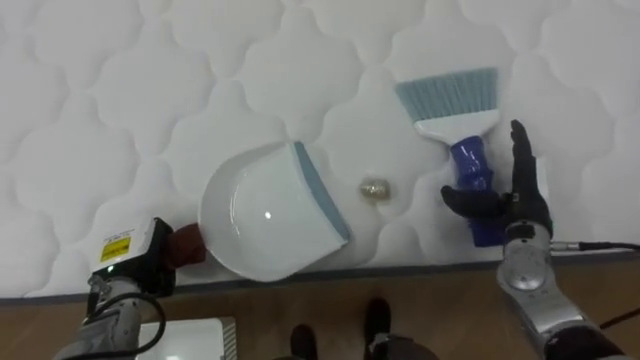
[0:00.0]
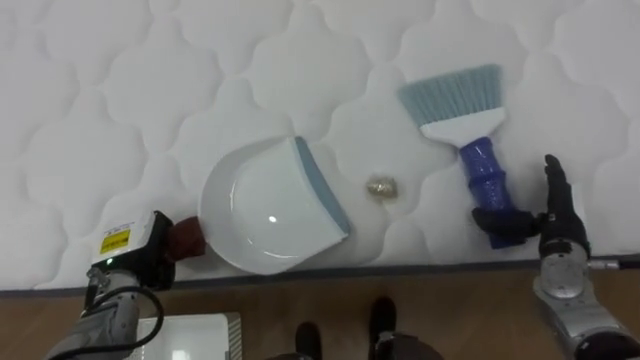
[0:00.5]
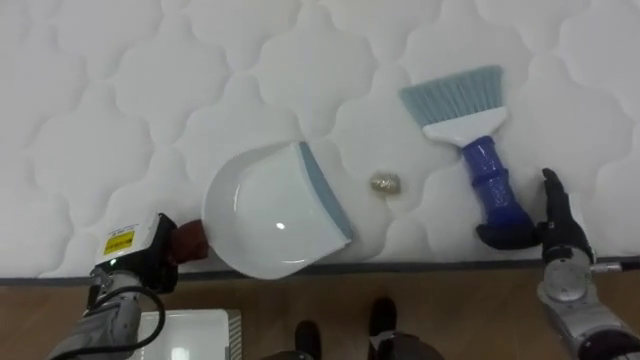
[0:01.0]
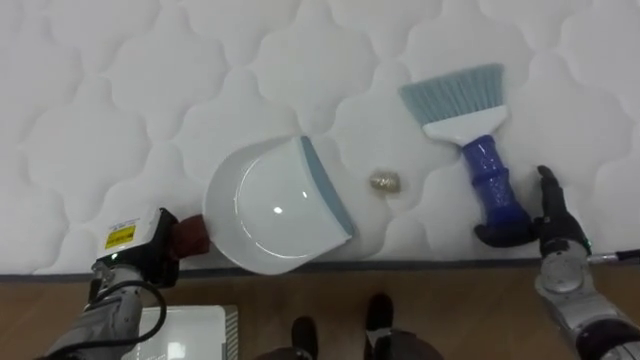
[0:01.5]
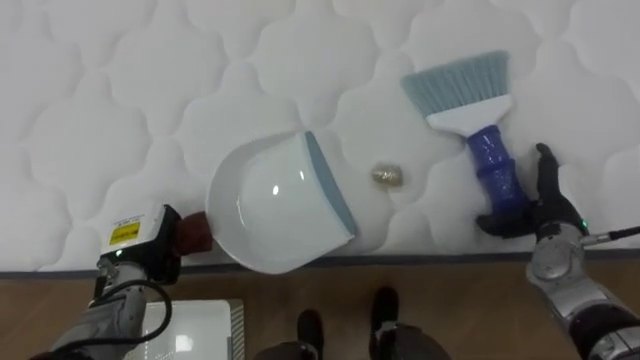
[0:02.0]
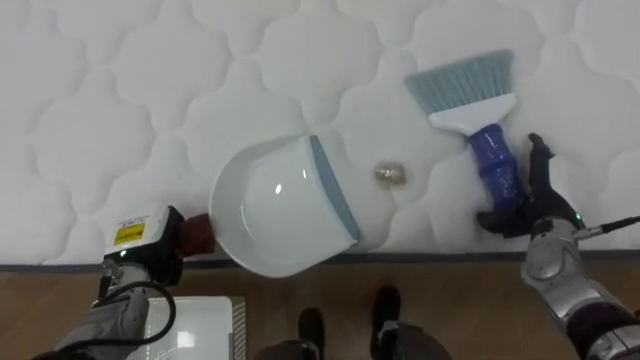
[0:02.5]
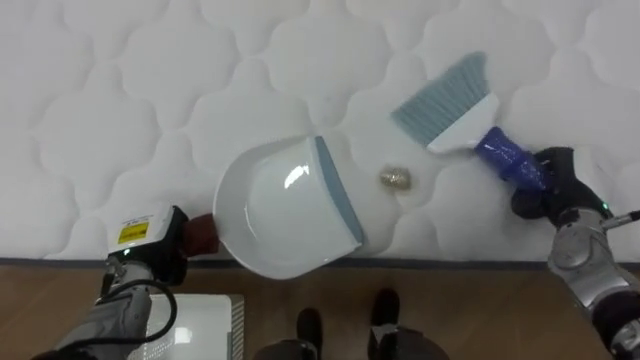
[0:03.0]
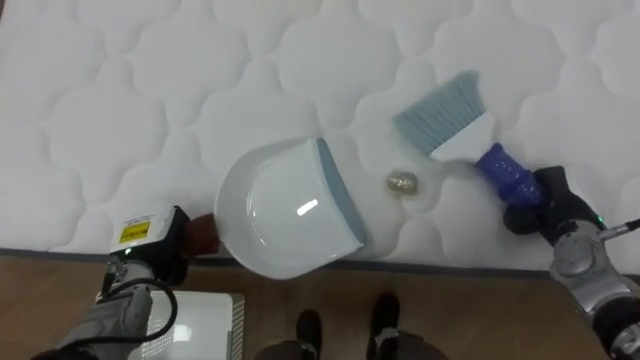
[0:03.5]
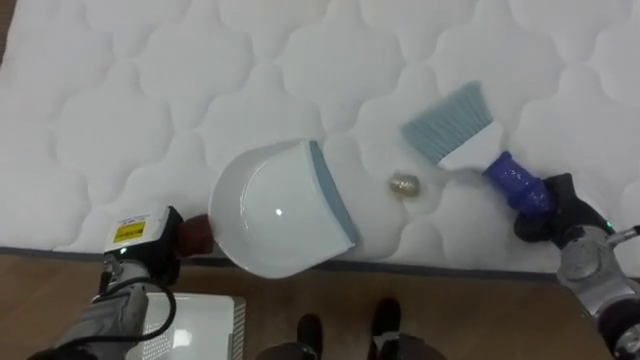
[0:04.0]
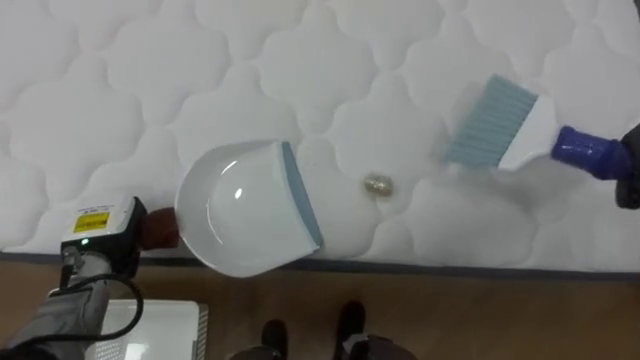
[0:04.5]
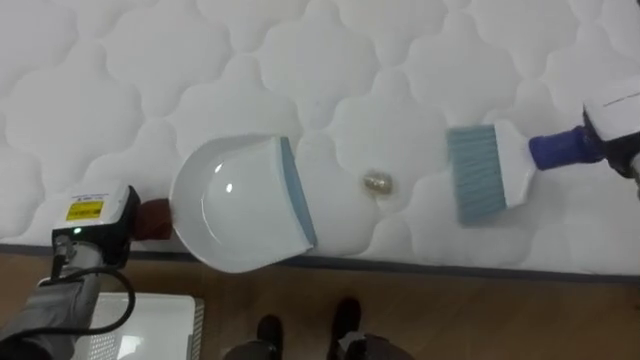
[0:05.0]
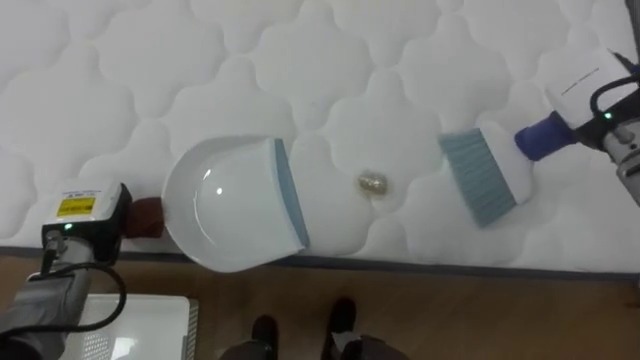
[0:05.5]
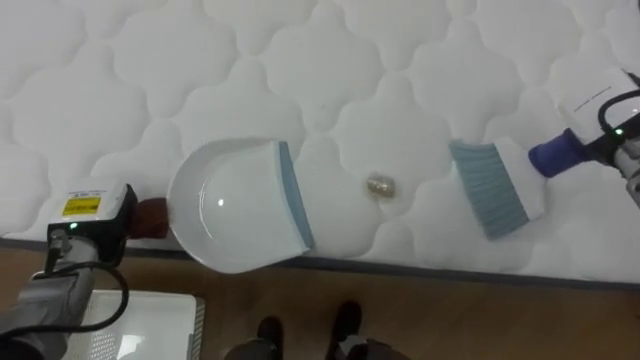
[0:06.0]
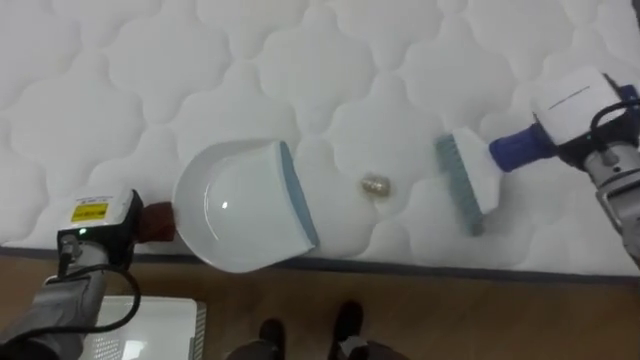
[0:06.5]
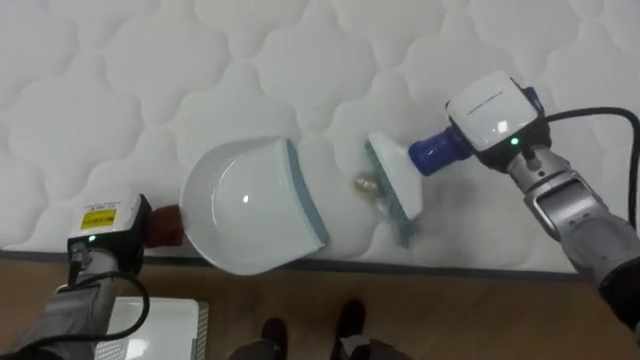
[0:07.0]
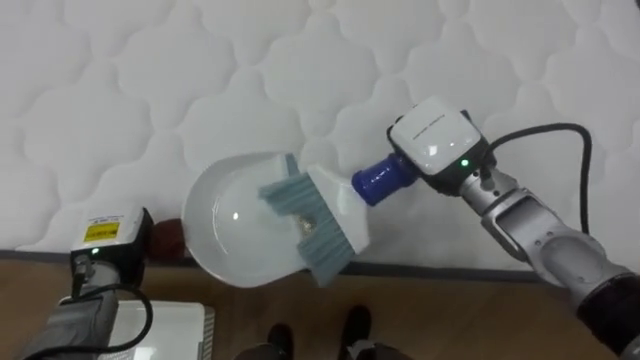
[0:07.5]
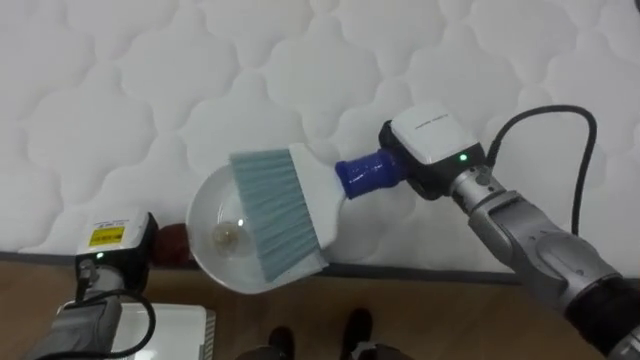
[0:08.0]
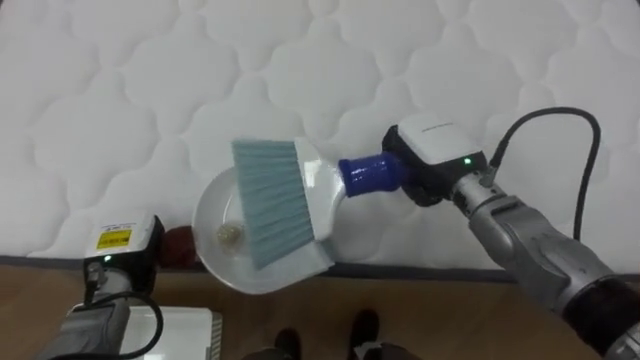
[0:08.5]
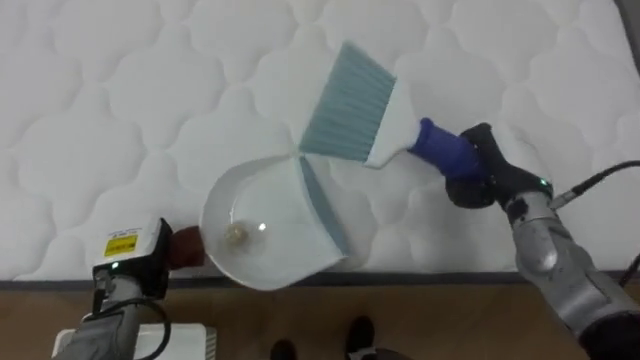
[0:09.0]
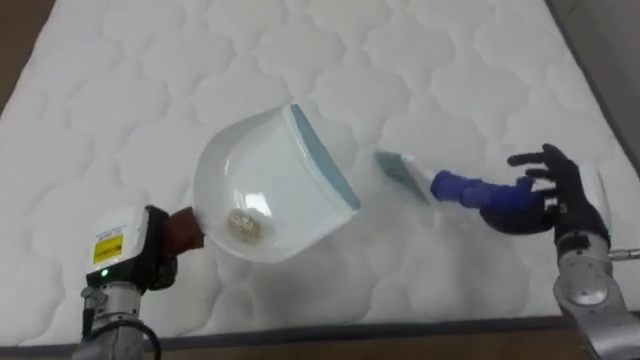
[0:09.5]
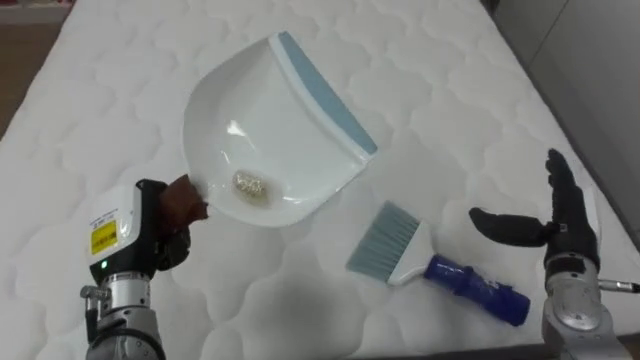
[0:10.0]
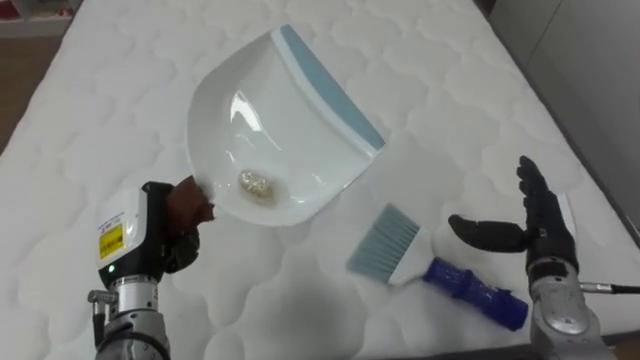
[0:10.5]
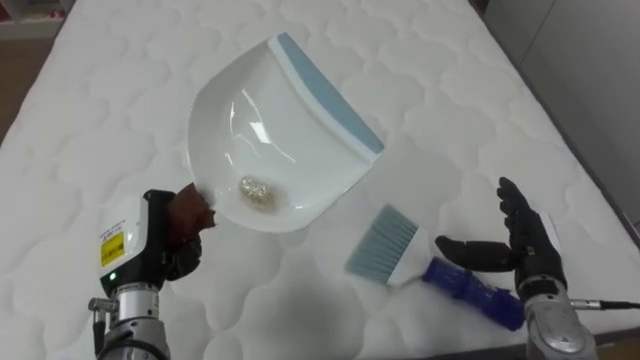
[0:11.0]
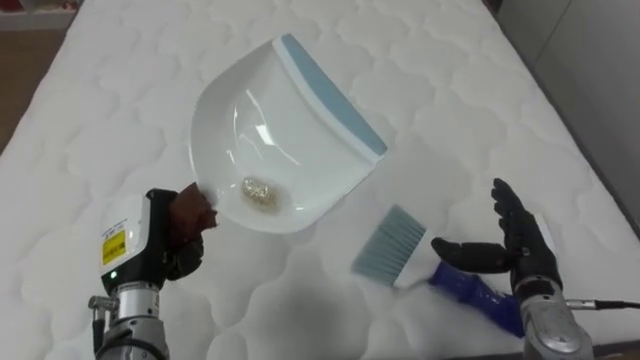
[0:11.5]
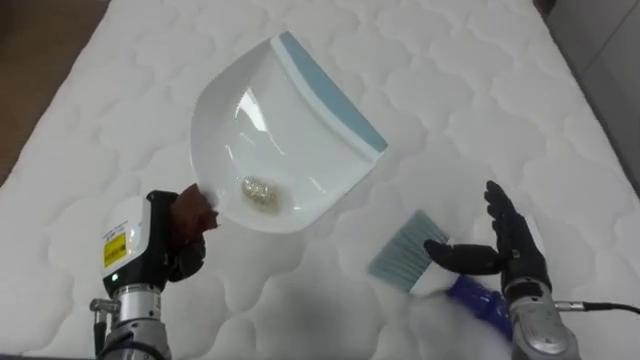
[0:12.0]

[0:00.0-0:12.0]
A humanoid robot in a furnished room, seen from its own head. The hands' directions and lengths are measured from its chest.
Task of the whole recording: Pick up the brush on your right and the dustpan on your left. Use the brush to sweep the crumpled paper on the bed into the dustpan, then turn left and empty it into the basket.
0:02.0 to 0:04.0: The right hand closes its fingers.
0:04.0 to 0:06.0: The left hand moves to the left, about 5 cm.
0:06.0 to 0:08.0: The right hand moves to the left, about 20 cm; the left hand ends up approximately 5 cm from where it was.
0:08.0 to 0:10.0: The left hand shifts some 5 cm upward, while the right hand goes about 20 cm to the right, downward and backward, and opens up.
0:10.0 to 0:12.0: The right hand goes roughly 5 cm to the left.

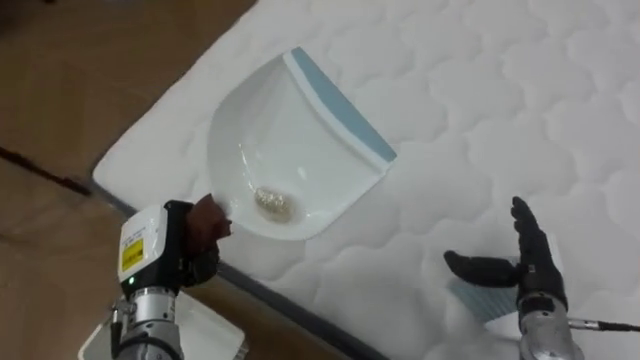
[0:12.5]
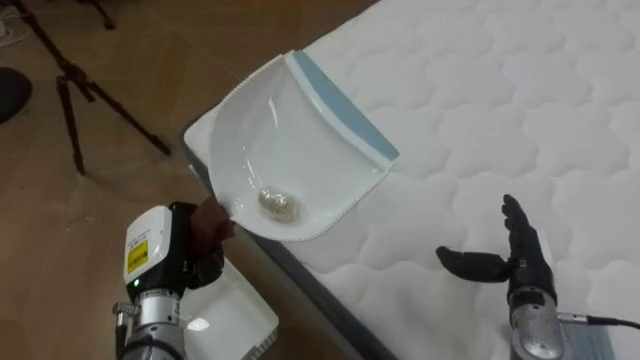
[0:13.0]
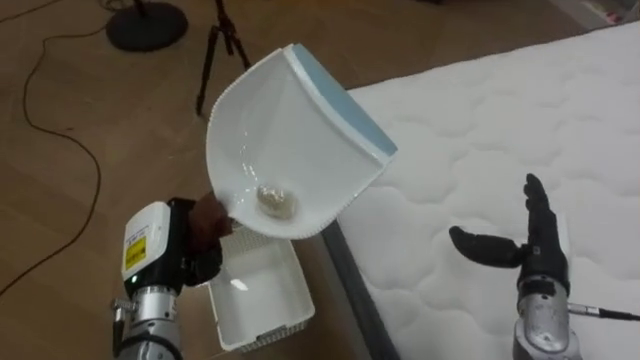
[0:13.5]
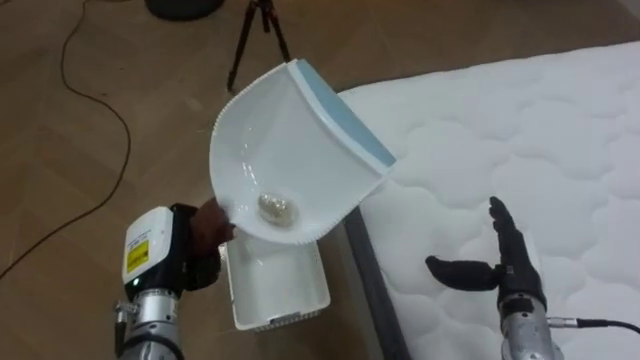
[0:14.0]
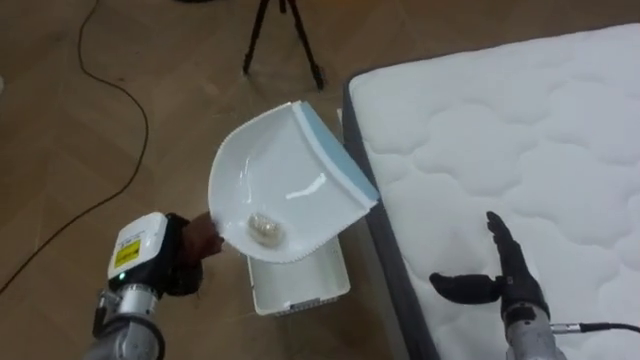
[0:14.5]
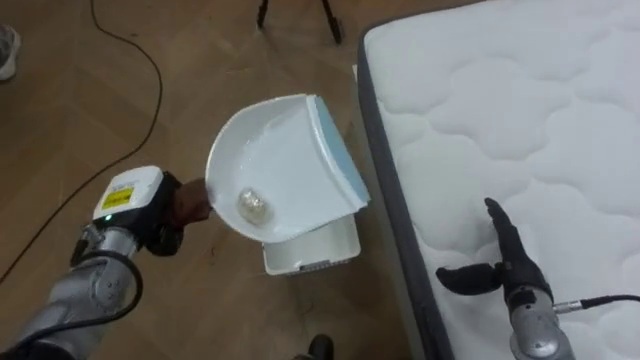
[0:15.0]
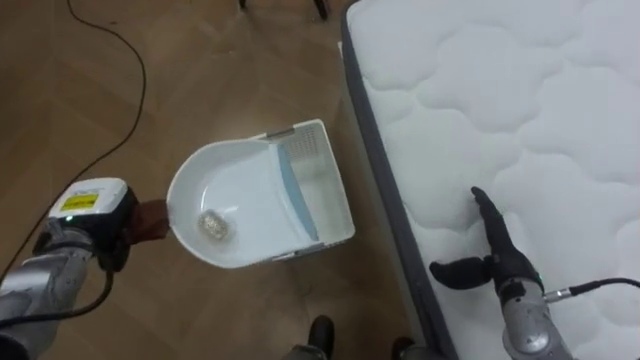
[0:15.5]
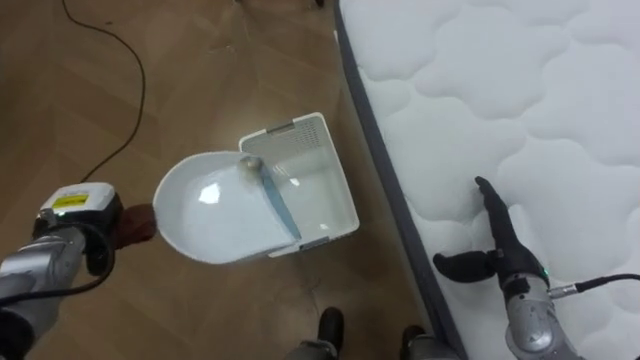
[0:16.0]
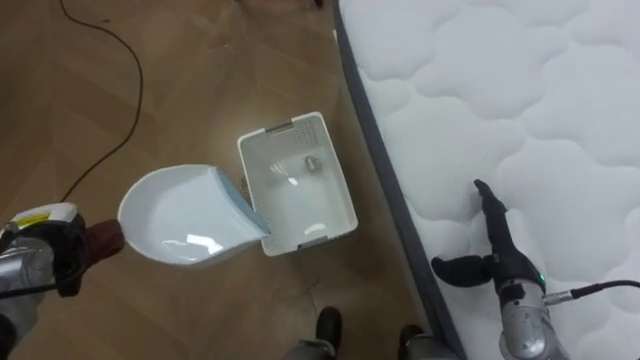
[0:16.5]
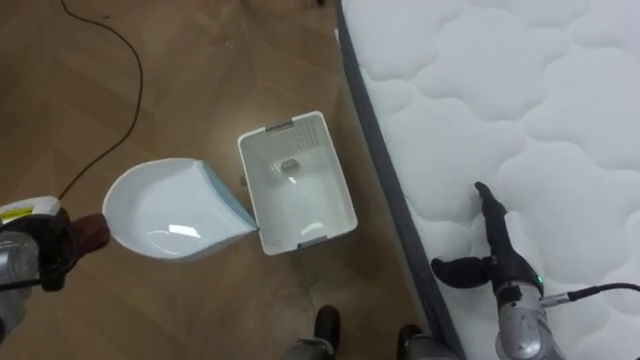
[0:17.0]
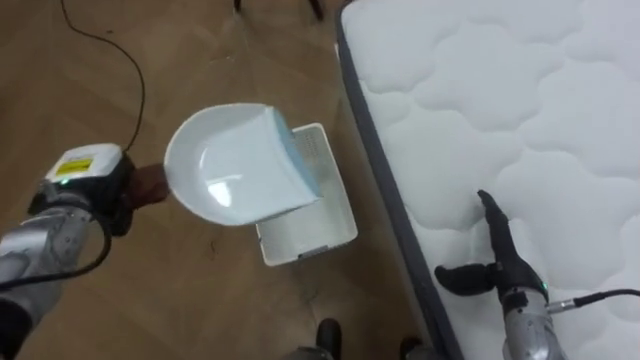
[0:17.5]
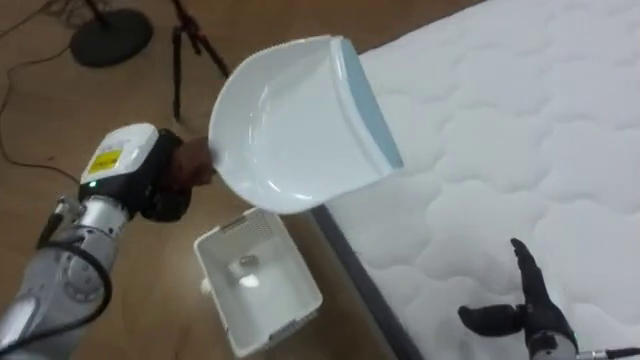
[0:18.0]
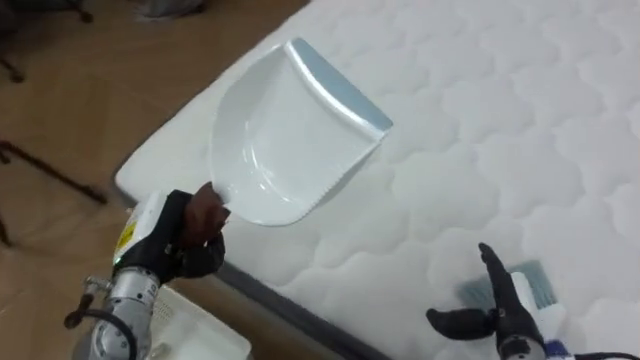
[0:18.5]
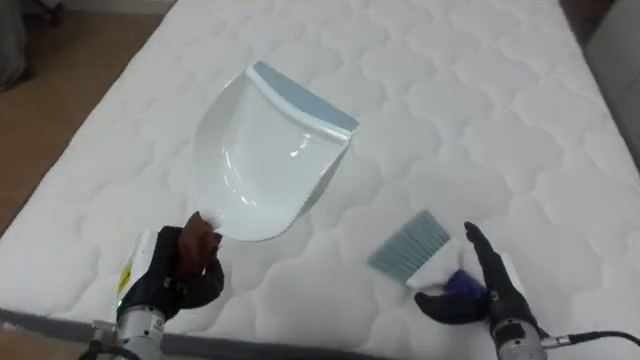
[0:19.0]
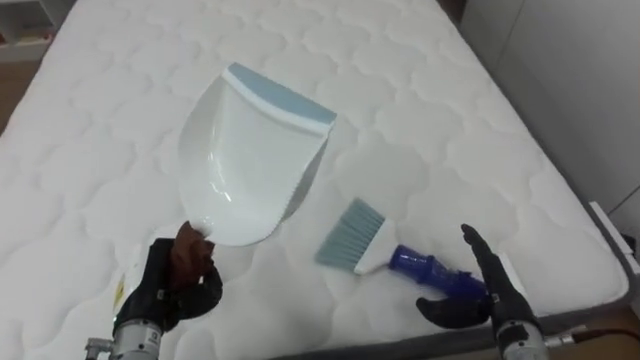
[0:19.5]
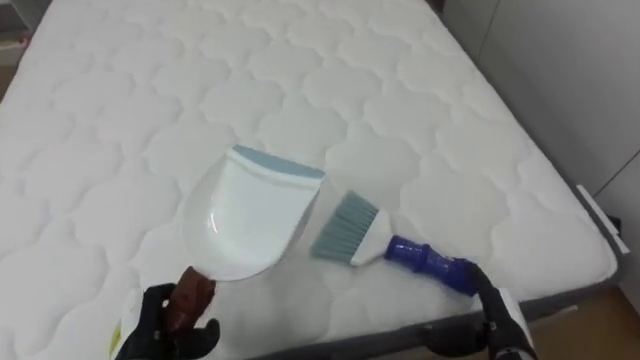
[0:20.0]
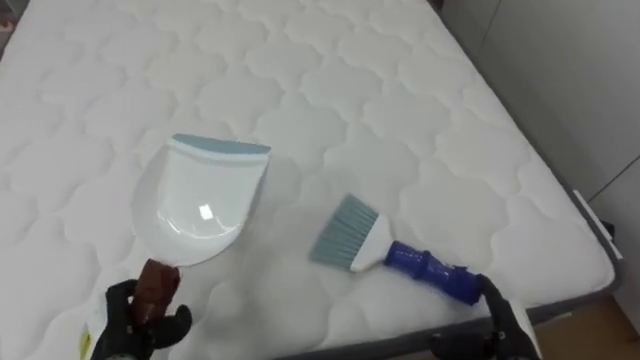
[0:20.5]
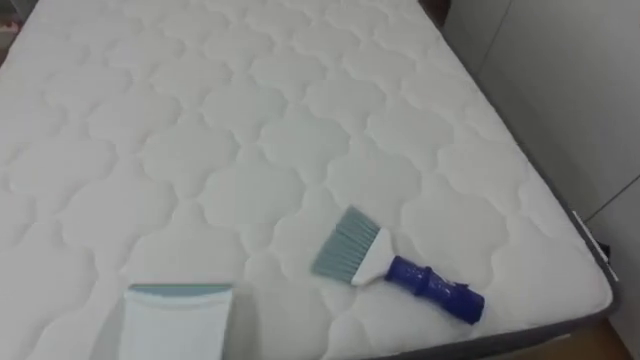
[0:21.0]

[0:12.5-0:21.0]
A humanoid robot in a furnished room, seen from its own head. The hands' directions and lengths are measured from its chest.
Task of the whole recording: Pick up the brush on your right and the dustpan on your left. Use the brush to sweep the crumpled paper on the bed into the dustpan, then turn left and empty it into the basket.
0:12.5 to 0:14.5: The robot's body swings about 50 degrees to its left.
0:14.5 to 0:16.5: The left hand shifts roughly 15 cm to the left.
0:16.5 to 0:19.0: The robot faces some 80 degrees further to its right. The left hand is displaced to the right and backward by some 15 cm.
0:19.0 to 0:21.0: The robot rotates some 15 degrees to its right.
